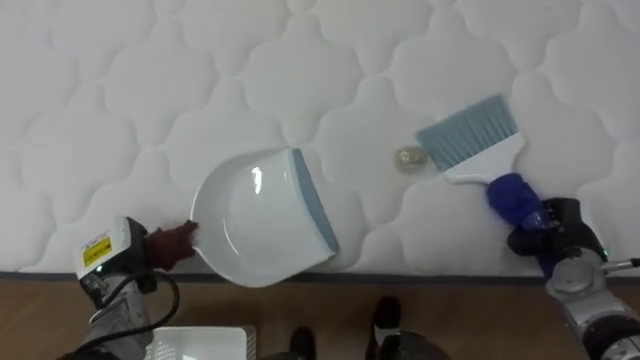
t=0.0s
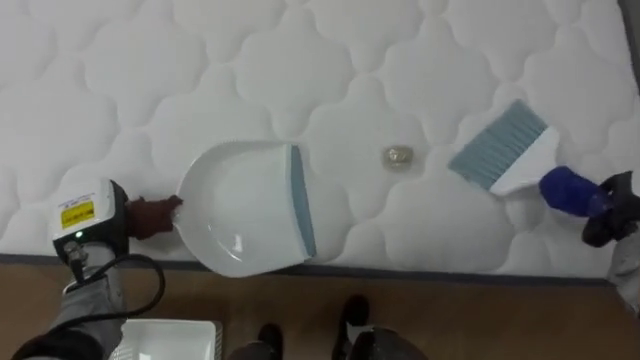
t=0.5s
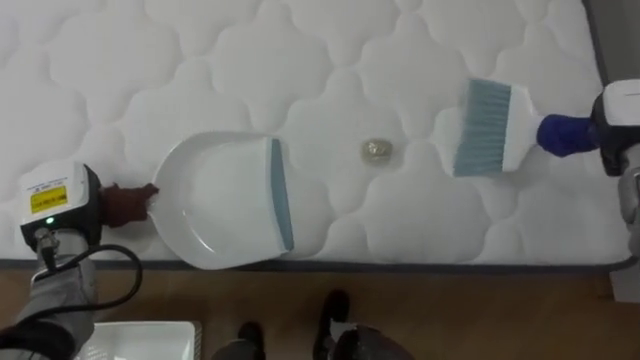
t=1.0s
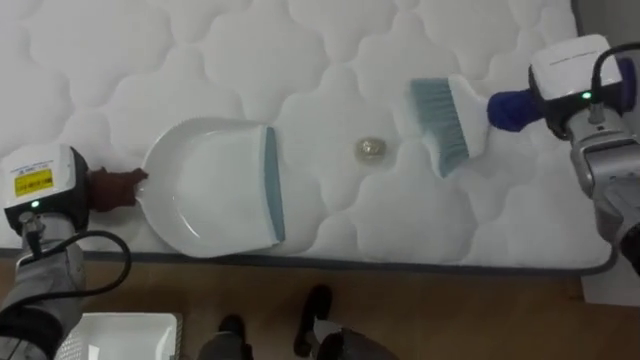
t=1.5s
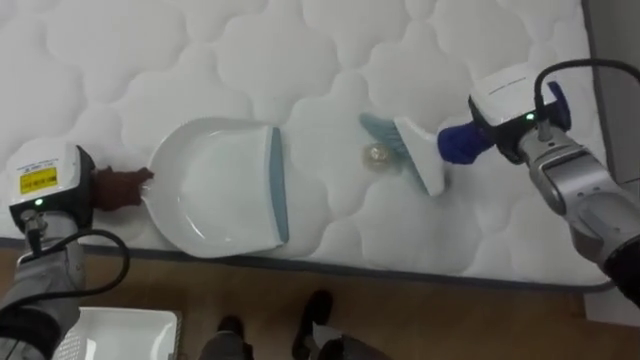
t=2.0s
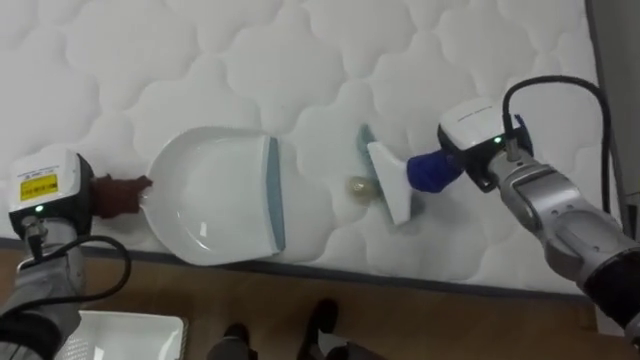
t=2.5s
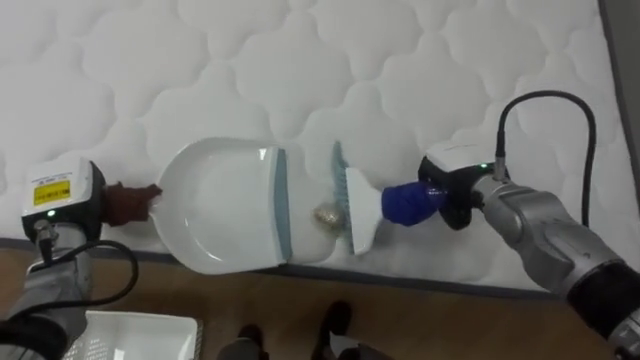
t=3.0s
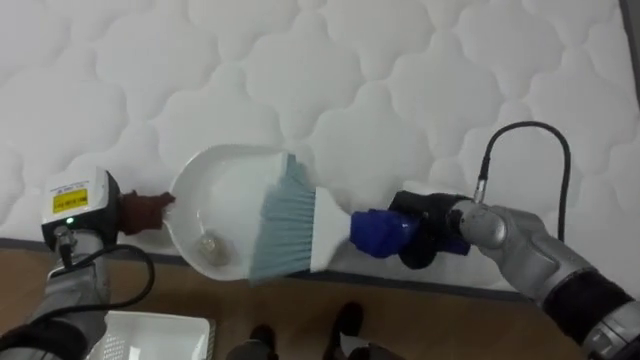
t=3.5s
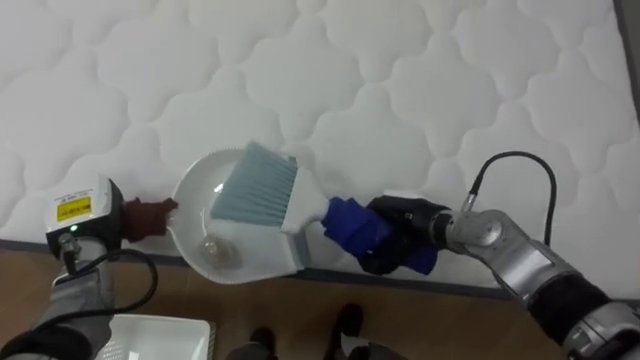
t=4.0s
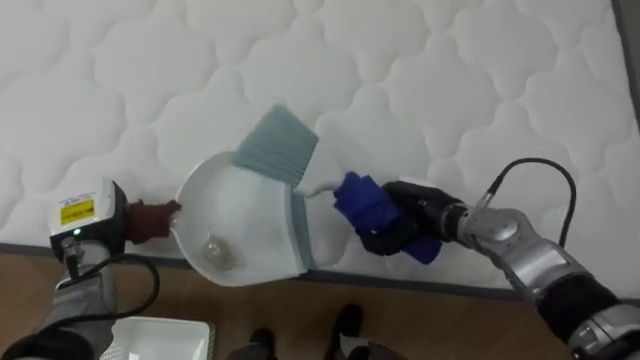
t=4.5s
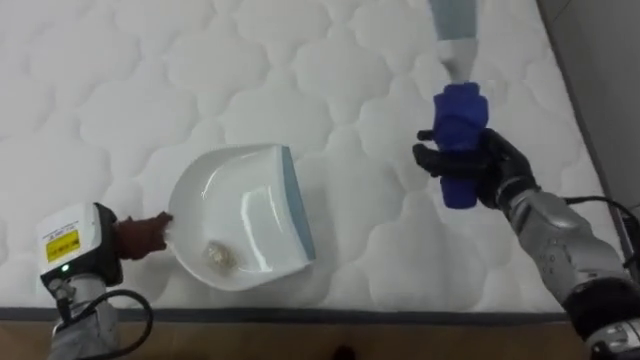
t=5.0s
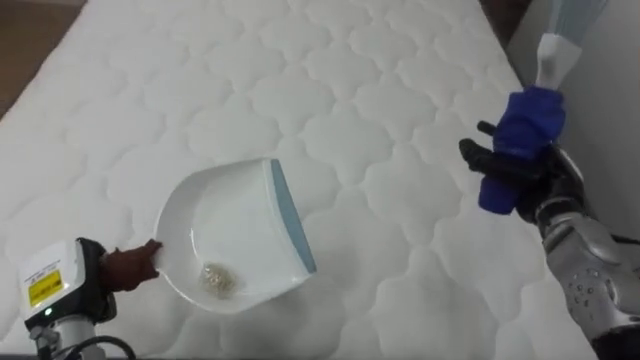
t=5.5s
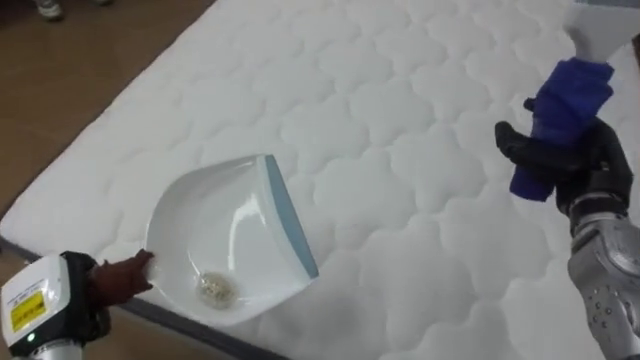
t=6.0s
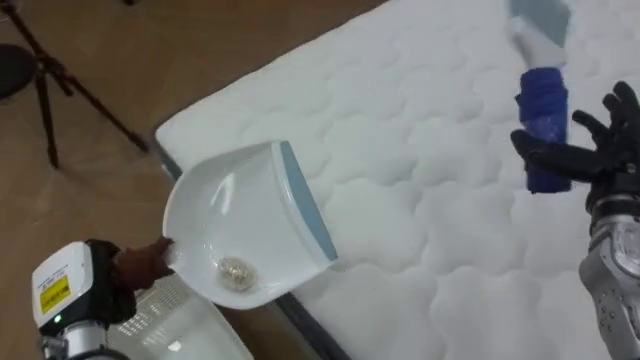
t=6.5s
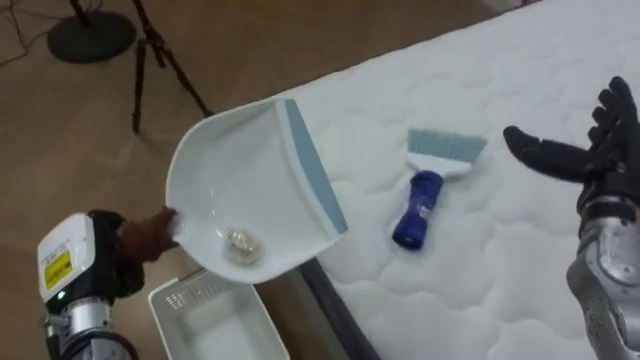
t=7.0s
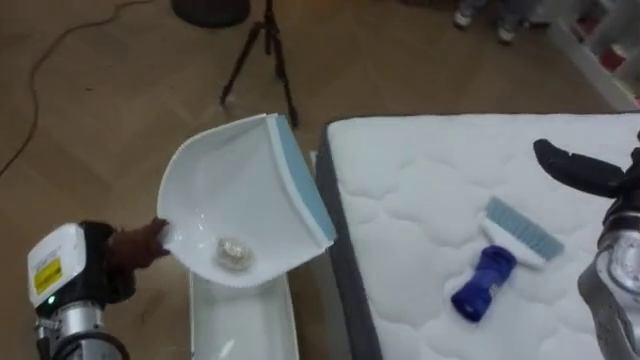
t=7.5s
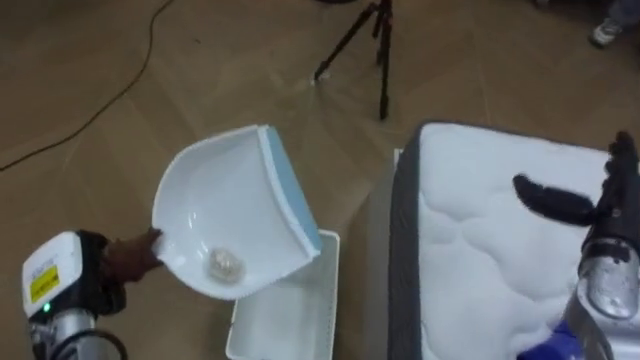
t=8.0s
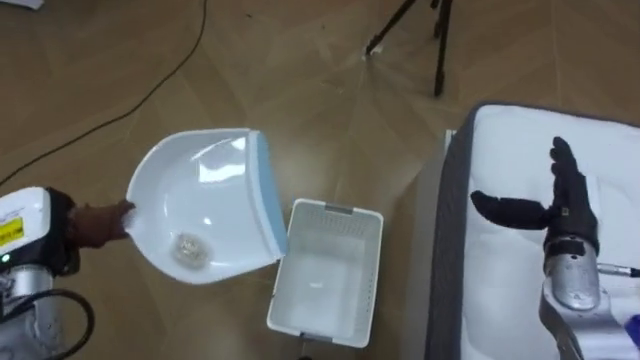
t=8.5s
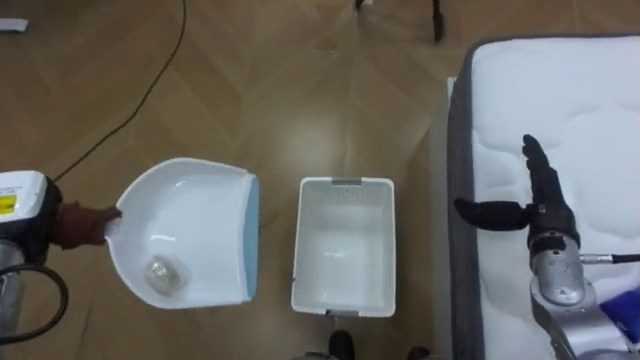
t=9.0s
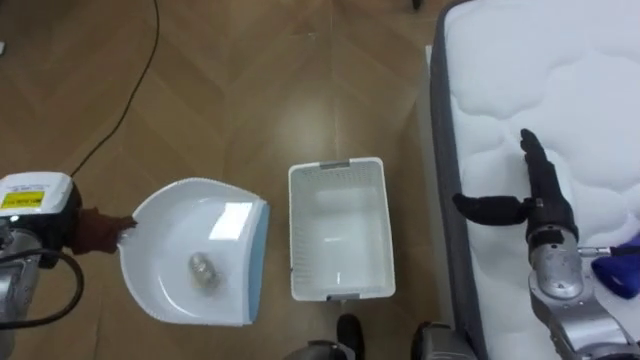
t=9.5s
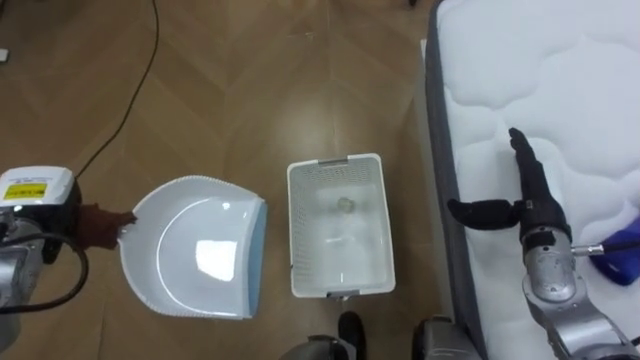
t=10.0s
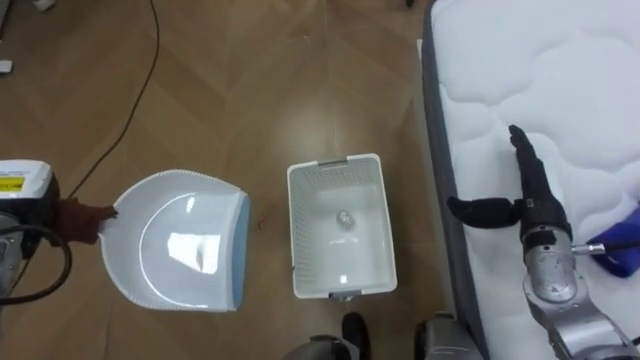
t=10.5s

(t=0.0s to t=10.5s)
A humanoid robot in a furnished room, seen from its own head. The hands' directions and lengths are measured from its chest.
Task of the whole recording: Pick up the brush on your right and the dustpan on your left. Use the brush to sweep the crumpled paper on the bed into the dustpan, then turn left and empty it into the basket.
t=0.0s - t=2.0s: The left hand travels upward, forward and to the left by some 10 cm.
t=2.0s - t=4.0s: The right hand moves downward, to the left and backward, approximately 20 cm. The left hand shifts by about 5 cm.
t=4.0s - t=6.5s: The robot faces roughly 50 degrees further to its left. The left hand shifts approximately 10 cm backward; the right hand heads to the right and upward, covering some 25 cm, and opens.
t=6.5s - t=8.5s: The robot turns to its left by about 55 degrees. The left hand goes roughly 5 cm to the left and forward.
t=8.5s - t=10.5s: The left hand moves forward, roughly 5 cm.

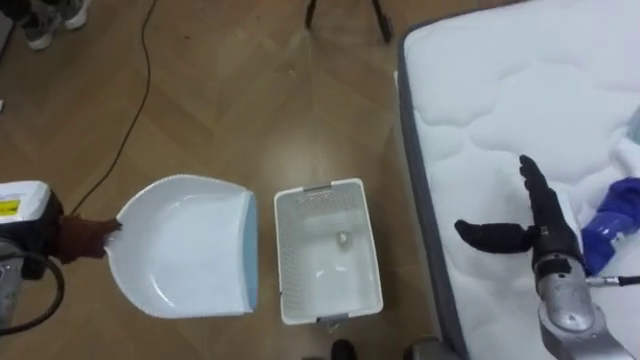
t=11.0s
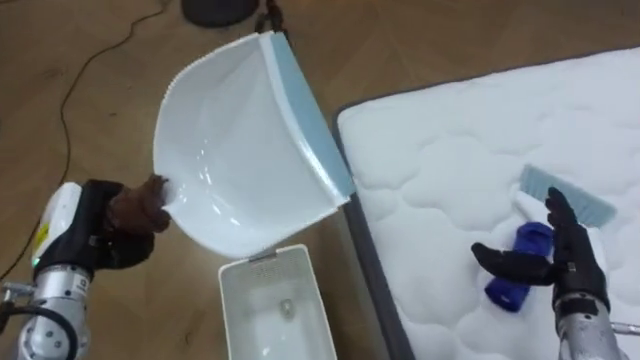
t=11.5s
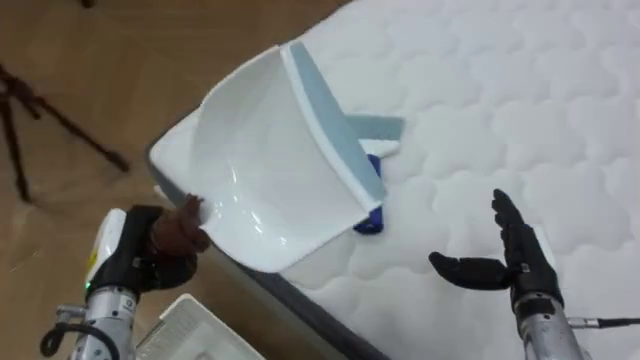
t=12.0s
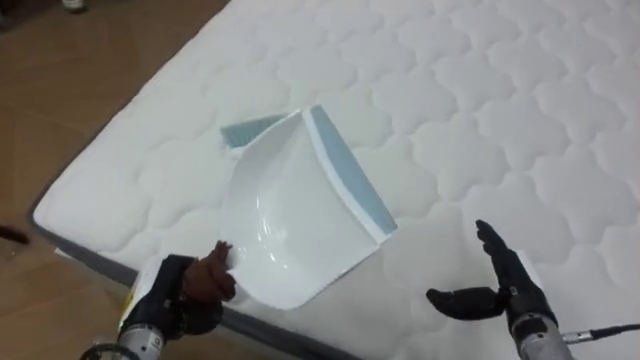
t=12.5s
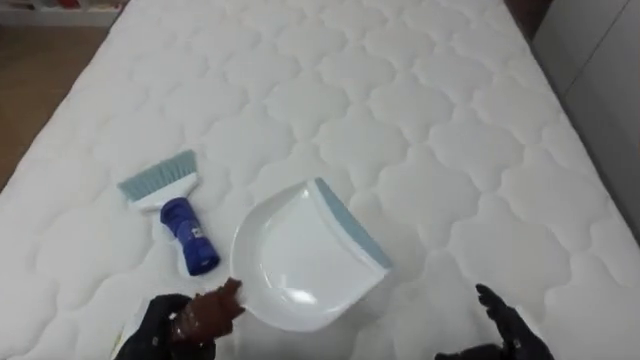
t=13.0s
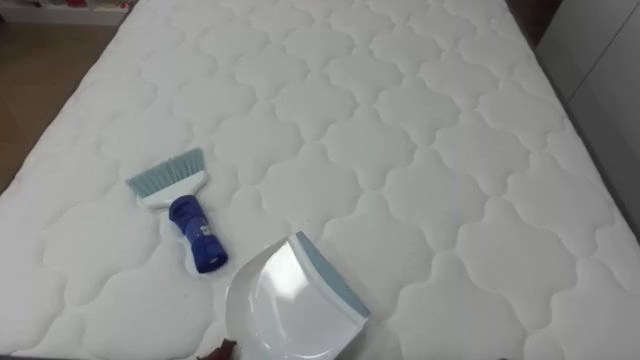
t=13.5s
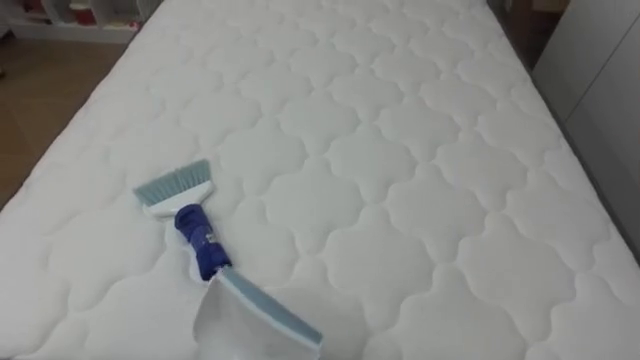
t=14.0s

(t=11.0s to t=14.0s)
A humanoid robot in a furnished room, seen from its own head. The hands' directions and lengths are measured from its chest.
Task of the whole recording: Pick up the brush on your right and the dustpan on your left. Use the brush to sweep the crumpled paper on the bed into the dustpan, then turn left and empty it into the basket.
t=11.0s - t=12.5s: The robot turns to its right by about 70 degrees. The right hand shifts about 10 cm backward and downward. The left hand heads to the right, downward and backward, covering about 20 cm.
t=12.5s - t=14.0s: The robot turns to its right by about 20 degrees.

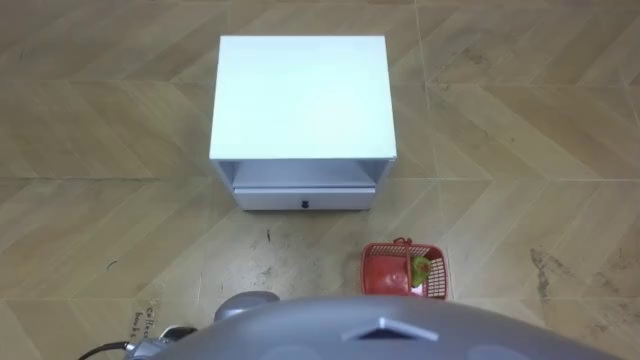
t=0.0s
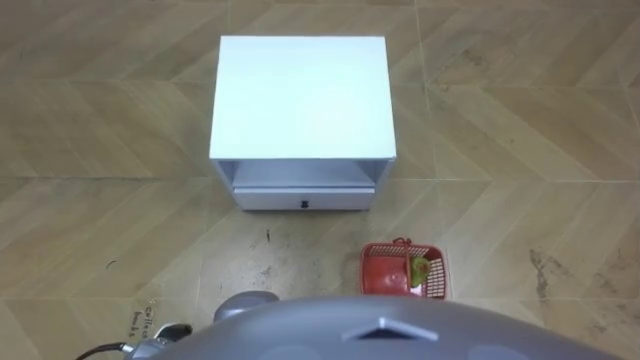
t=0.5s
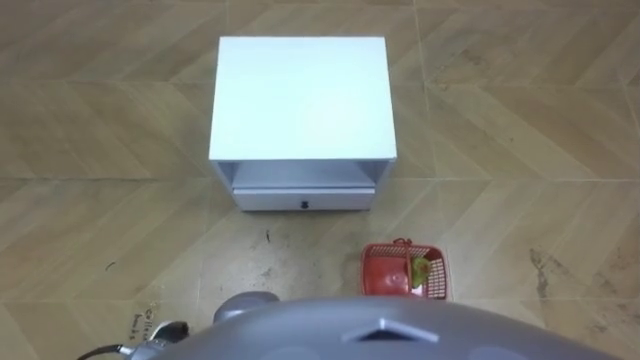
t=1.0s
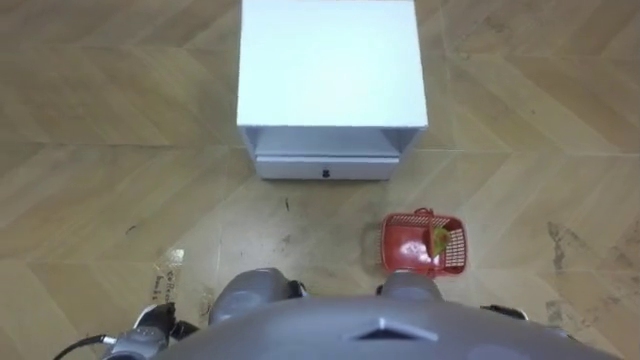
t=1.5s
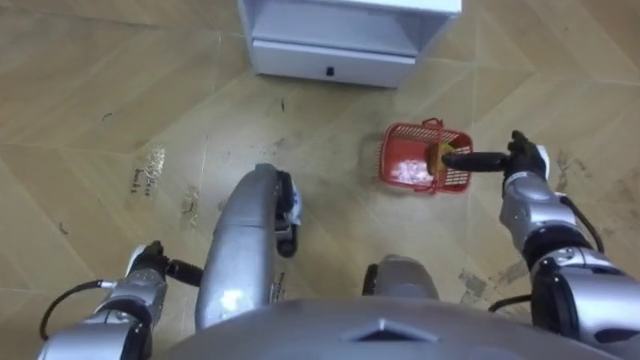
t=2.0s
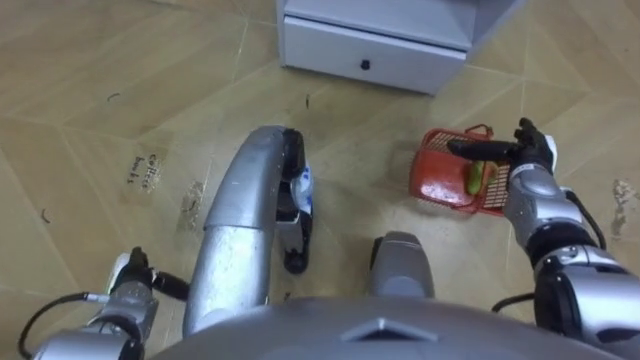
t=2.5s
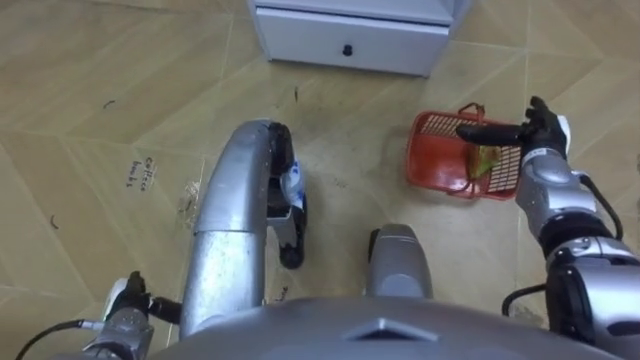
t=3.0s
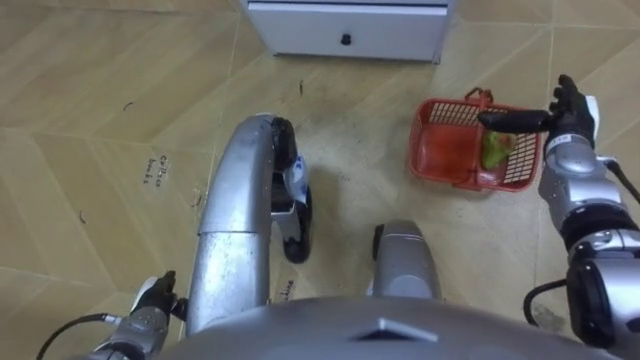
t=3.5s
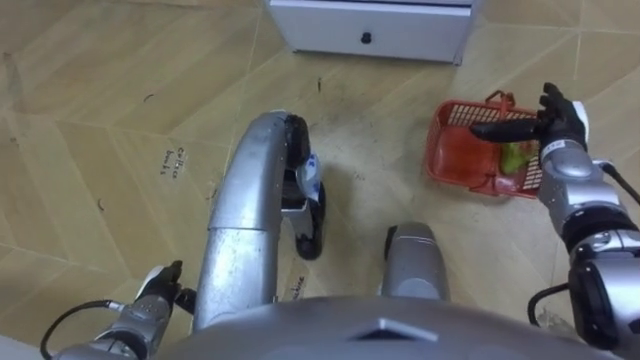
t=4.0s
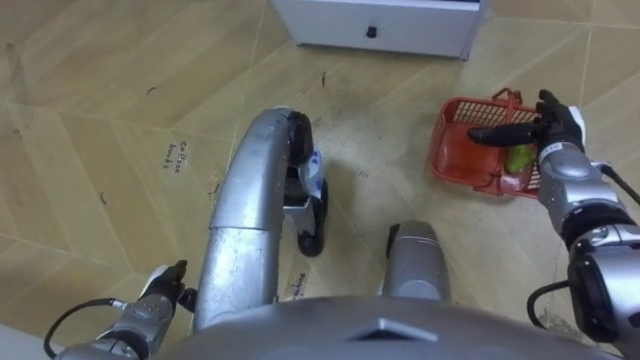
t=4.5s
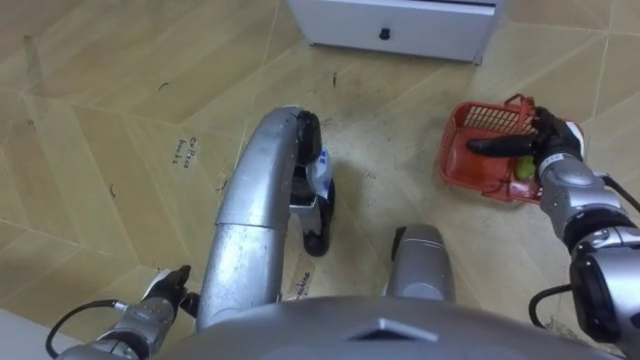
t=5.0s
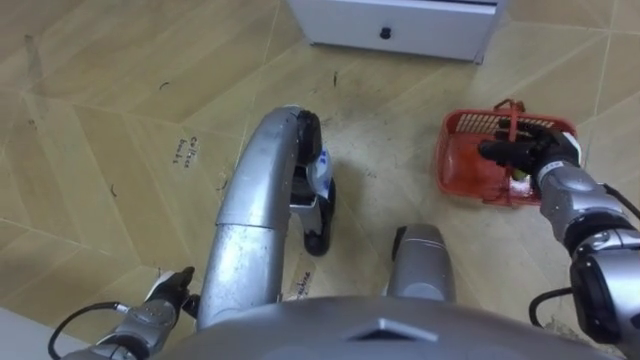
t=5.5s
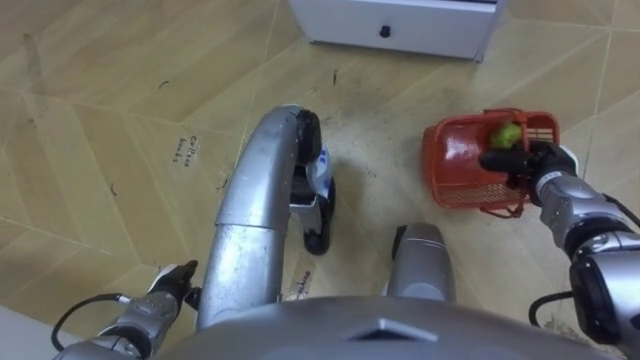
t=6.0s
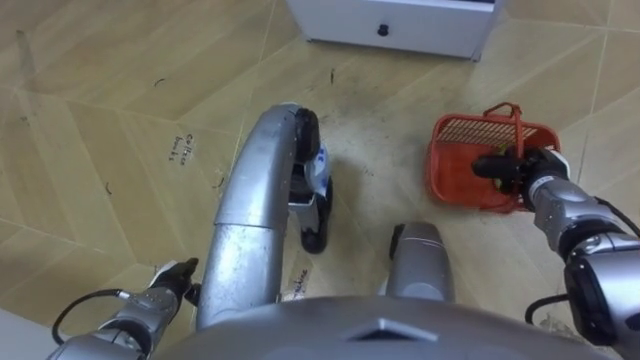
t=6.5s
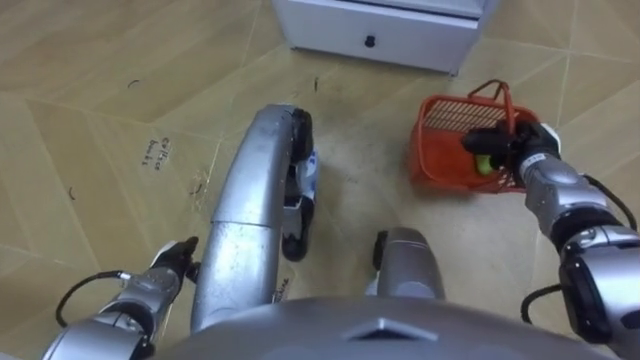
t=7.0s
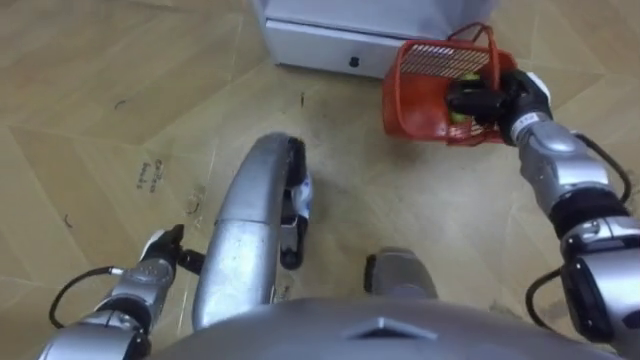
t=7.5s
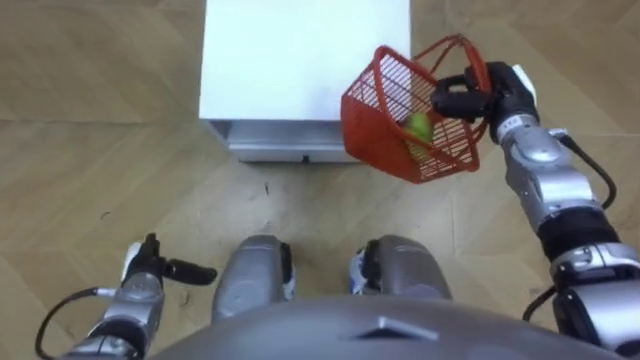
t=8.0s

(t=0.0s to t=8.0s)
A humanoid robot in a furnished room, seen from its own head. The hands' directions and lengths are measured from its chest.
Task of the whole recording: Pick up the fruit basket from the floor and place it on the cabinet.
t=2.0s - t=4.0s: The right hand ends up about 5 cm from where it was.
t=4.0s - t=6.0s: The right hand moves some 5 cm, and closes up.
t=6.0s - t=8.0s: The right hand is displaced to the left, upward and forward by approximately 15 cm; the left hand ends up about 5 cm from where it was.
